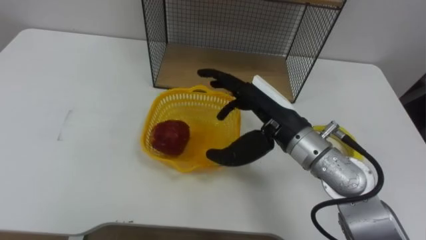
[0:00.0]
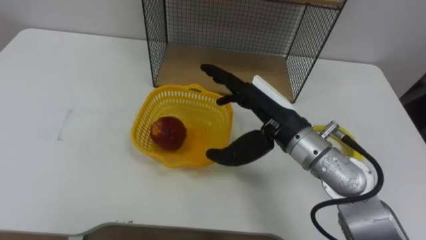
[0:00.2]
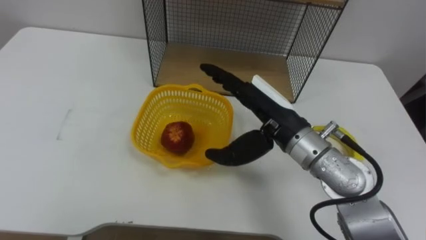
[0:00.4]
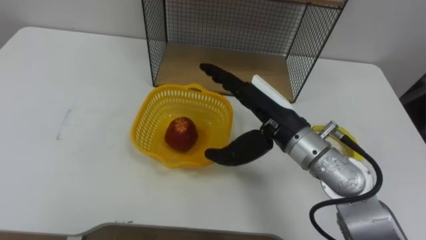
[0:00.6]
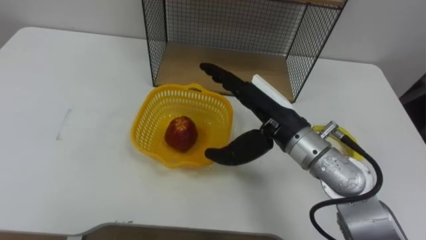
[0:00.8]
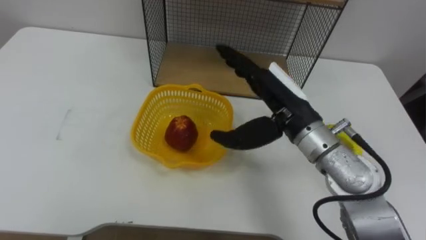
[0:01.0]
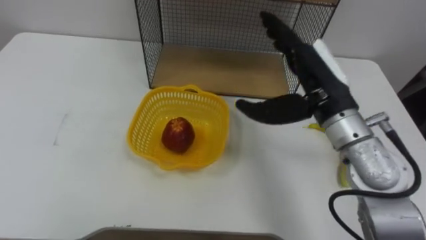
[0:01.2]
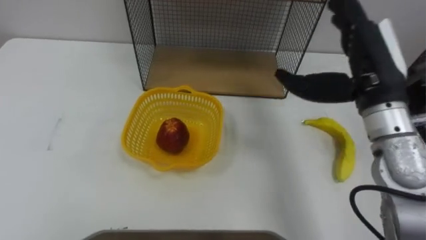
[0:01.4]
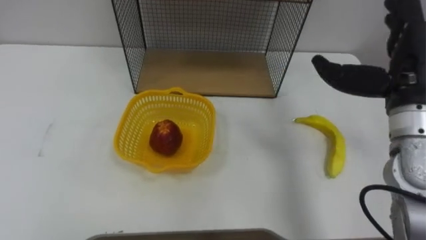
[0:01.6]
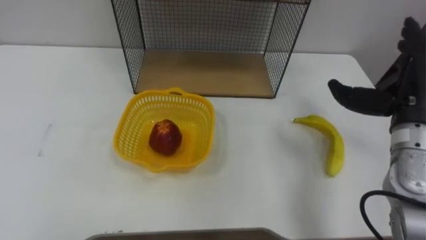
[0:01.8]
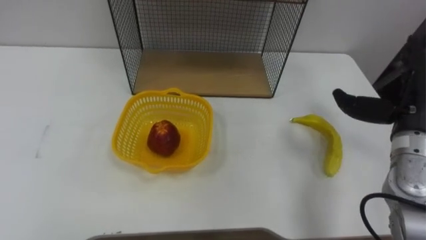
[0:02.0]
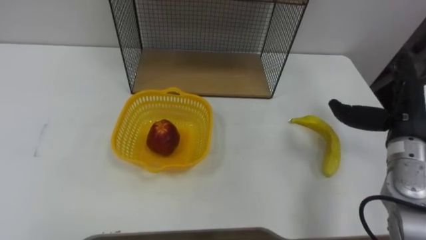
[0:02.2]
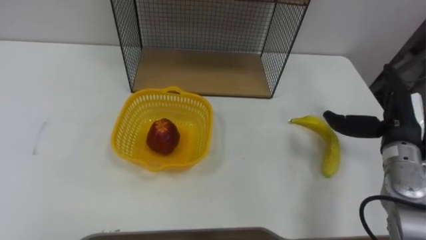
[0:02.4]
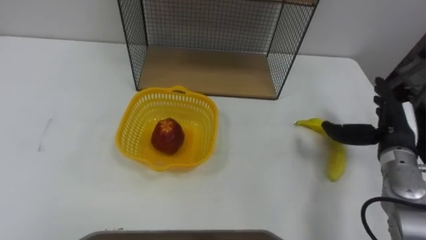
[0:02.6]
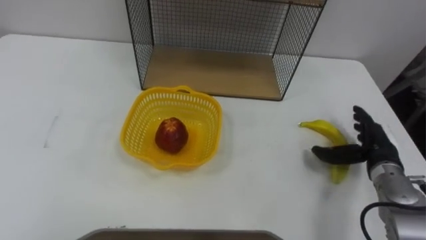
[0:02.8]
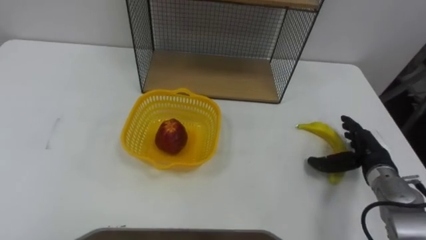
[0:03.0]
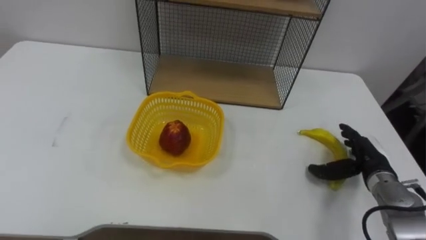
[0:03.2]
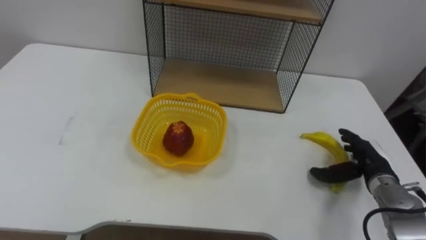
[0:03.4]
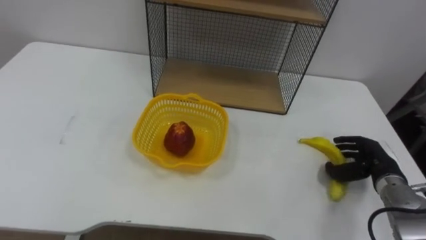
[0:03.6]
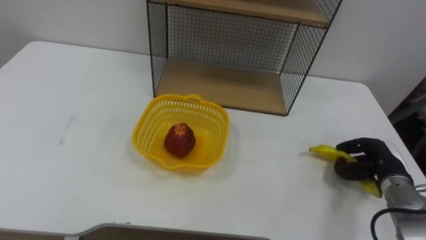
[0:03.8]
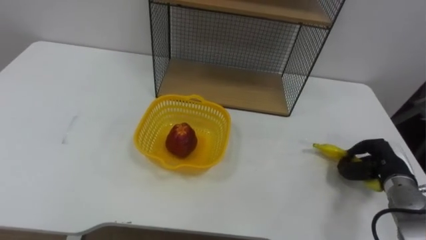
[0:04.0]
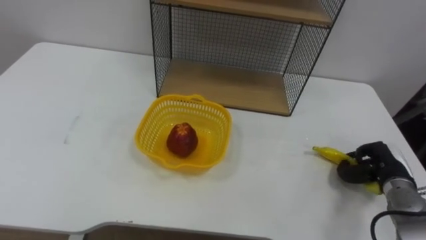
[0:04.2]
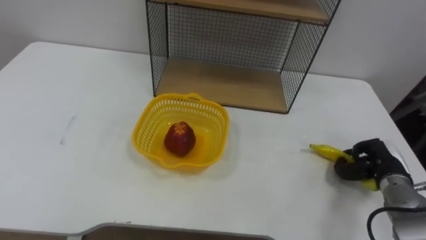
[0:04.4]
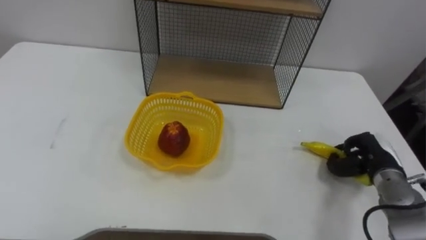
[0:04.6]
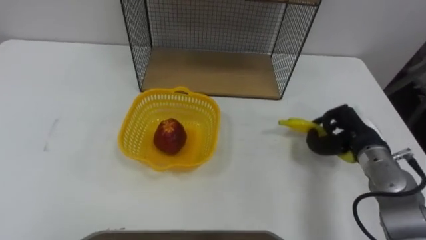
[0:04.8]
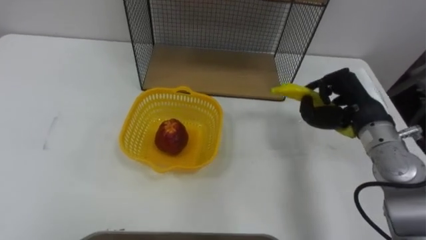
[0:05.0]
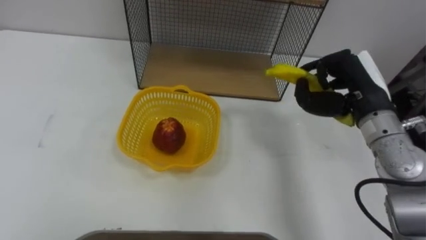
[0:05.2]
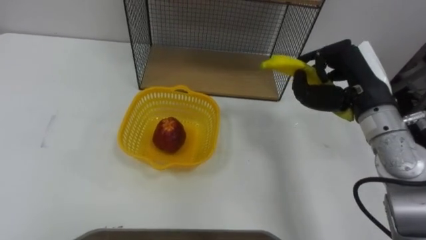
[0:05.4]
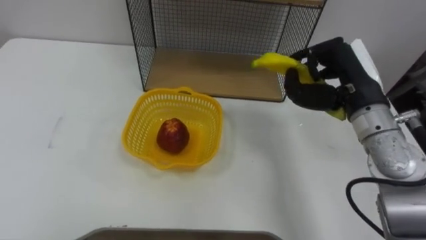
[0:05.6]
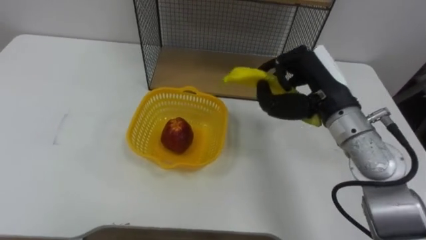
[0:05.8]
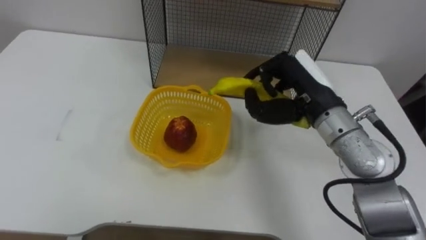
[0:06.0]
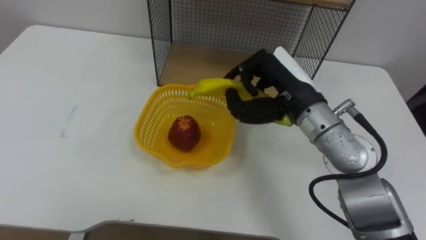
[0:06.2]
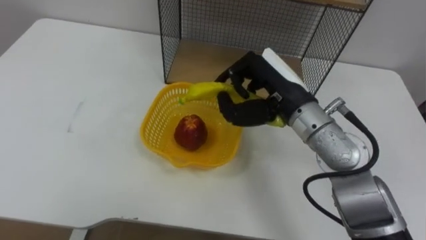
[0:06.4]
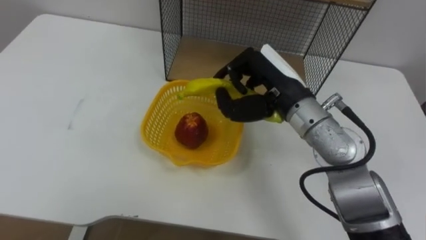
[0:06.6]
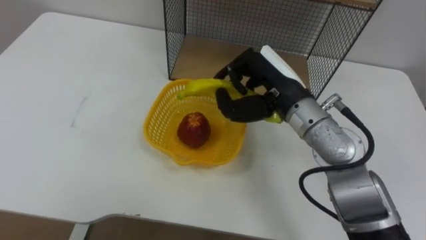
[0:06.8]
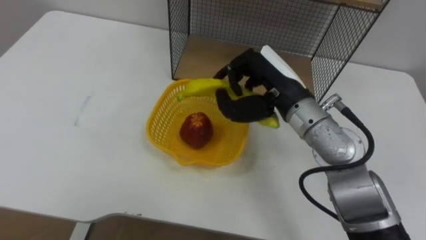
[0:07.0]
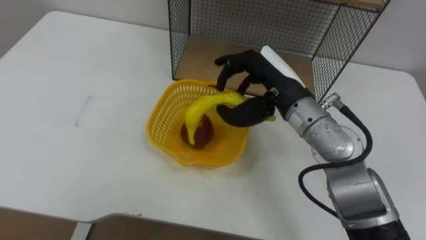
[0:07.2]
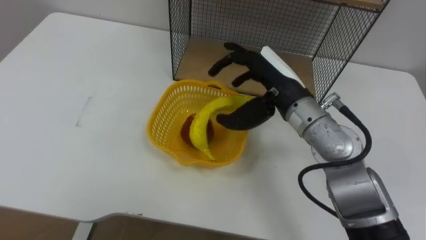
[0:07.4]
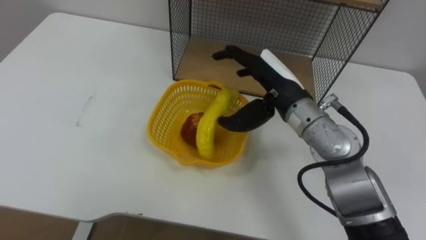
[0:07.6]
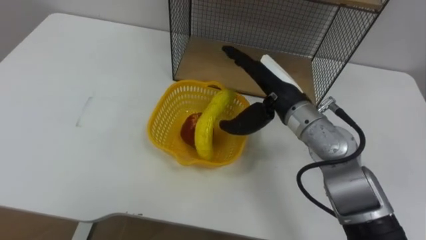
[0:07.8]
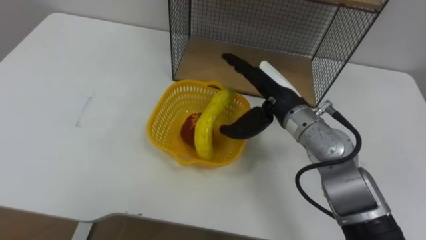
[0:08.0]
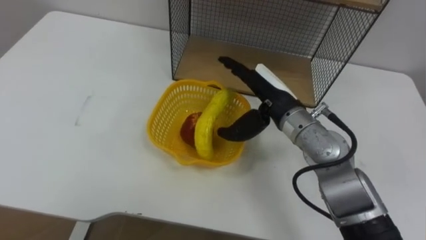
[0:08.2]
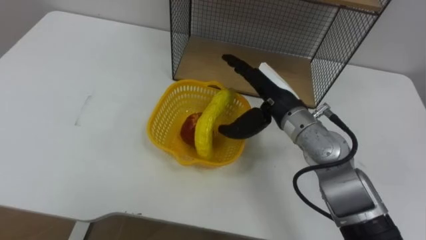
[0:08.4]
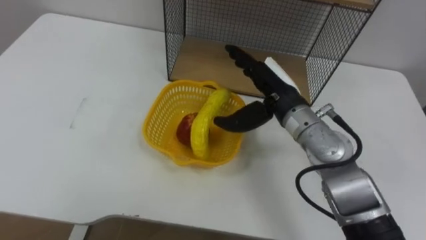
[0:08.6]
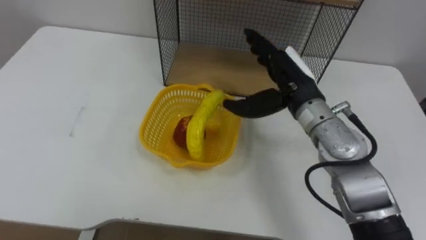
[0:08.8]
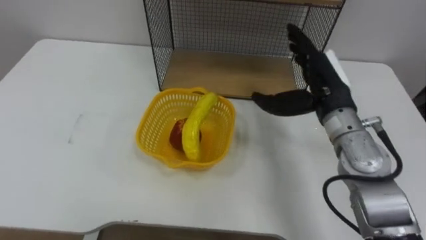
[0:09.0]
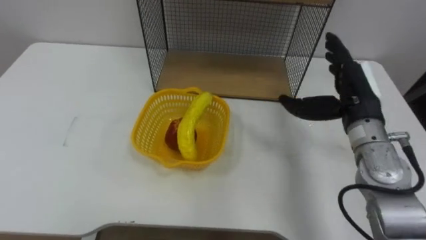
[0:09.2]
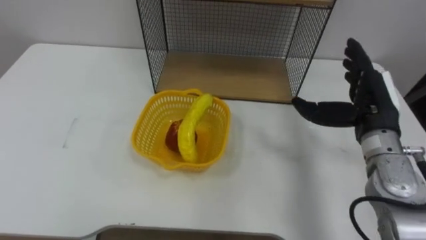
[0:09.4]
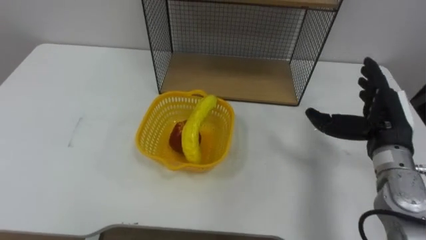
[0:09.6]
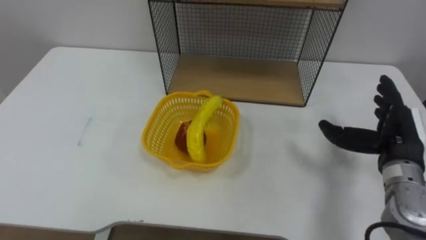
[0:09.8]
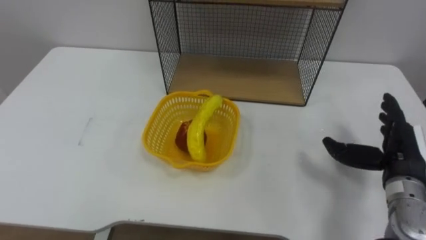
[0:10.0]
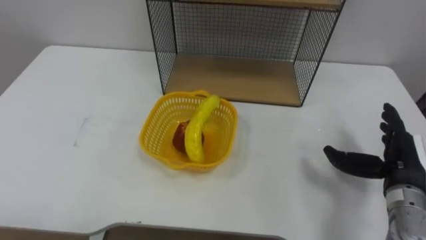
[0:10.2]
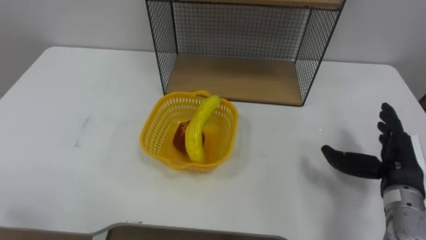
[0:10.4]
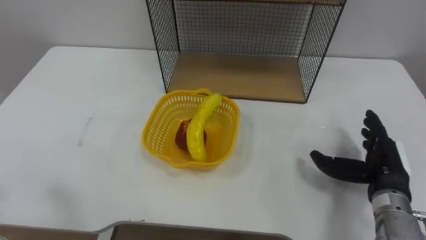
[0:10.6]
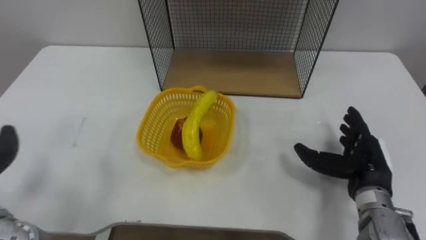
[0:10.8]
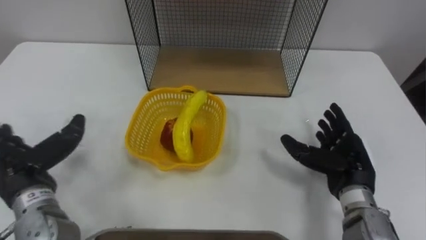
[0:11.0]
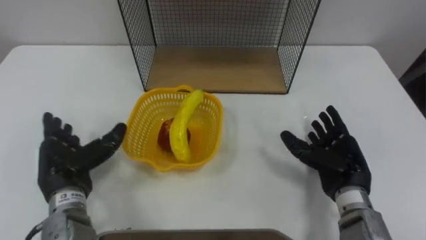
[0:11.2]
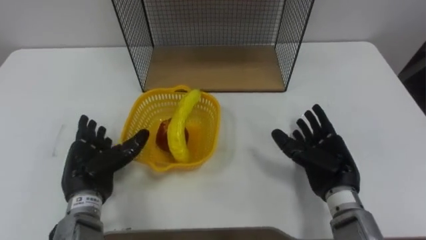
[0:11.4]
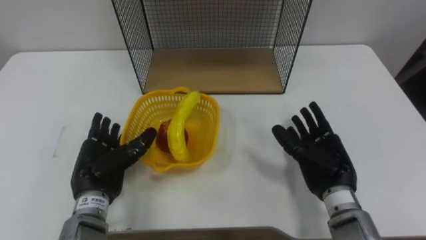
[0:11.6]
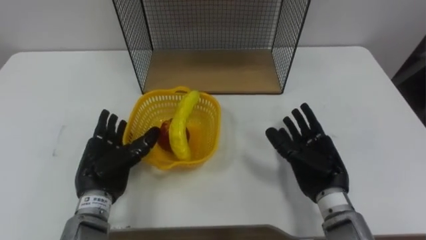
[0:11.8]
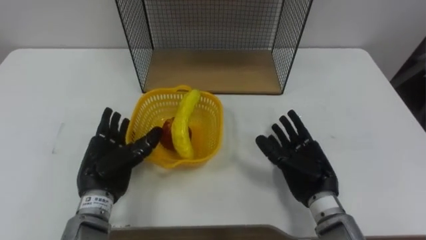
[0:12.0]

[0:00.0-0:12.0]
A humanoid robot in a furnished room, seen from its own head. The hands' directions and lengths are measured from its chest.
Task of the whole recording: Put the fruit on the table into the basket, then place the basket on the shelf.
0:00.0 to 0:01.6: The right hand goes roughly 15 cm to the right.
0:01.6 to 0:03.0: The right hand moves downward, roughly 20 cm.
0:03.0 to 0:04.4: The right hand closes up.
0:04.4 to 0:06.0: The right hand is displaced upward and to the left by about 25 cm.
0:06.0 to 0:07.6: The right hand changes place by approximately 5 cm, and opens its fingers.
0:07.6 to 0:09.0: The right hand shifts some 10 cm to the right.
0:09.0 to 0:10.4: The right hand moves to the right, backward and downward, about 20 cm.
0:10.4 to 0:12.0: The right hand goes some 15 cm to the left.

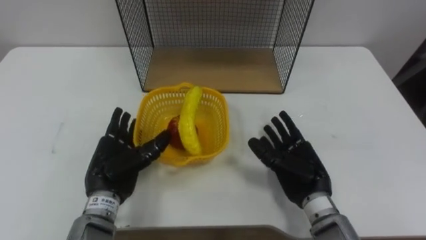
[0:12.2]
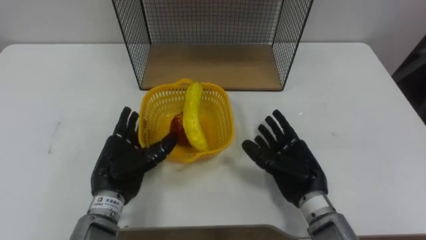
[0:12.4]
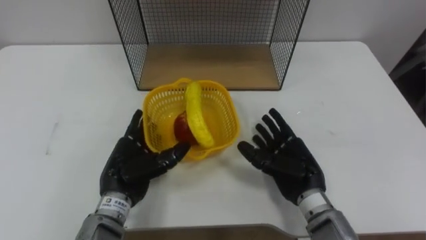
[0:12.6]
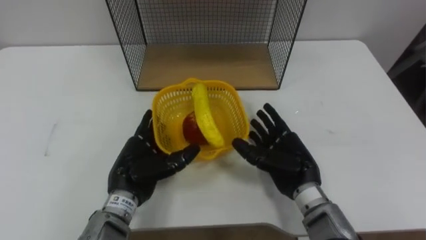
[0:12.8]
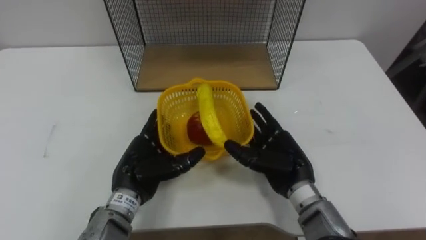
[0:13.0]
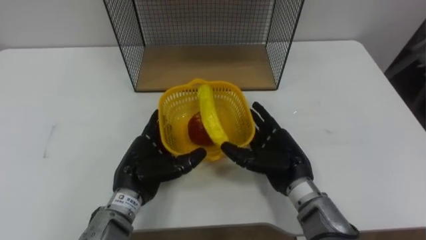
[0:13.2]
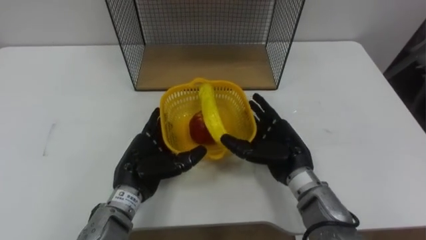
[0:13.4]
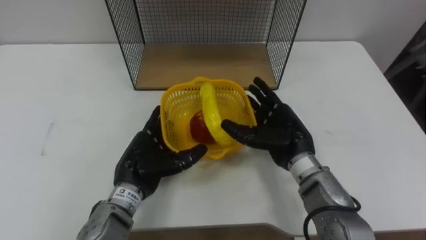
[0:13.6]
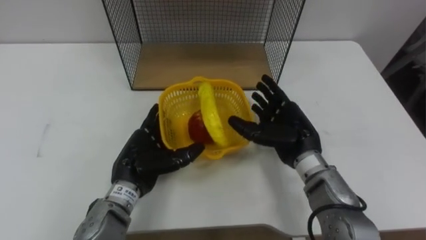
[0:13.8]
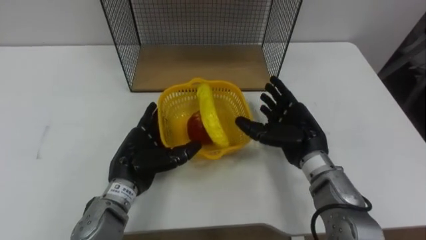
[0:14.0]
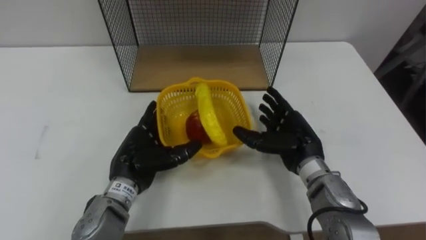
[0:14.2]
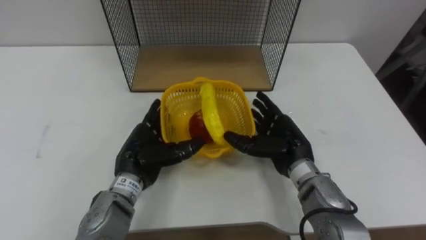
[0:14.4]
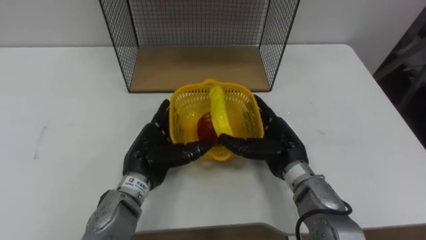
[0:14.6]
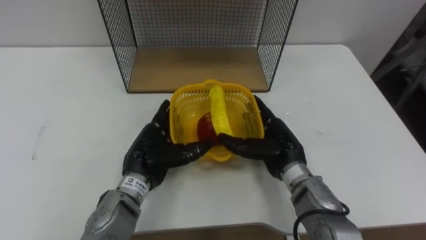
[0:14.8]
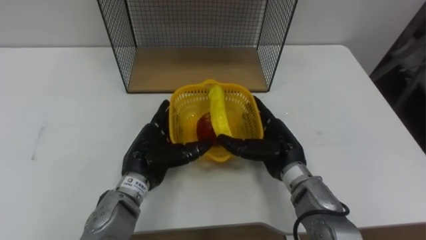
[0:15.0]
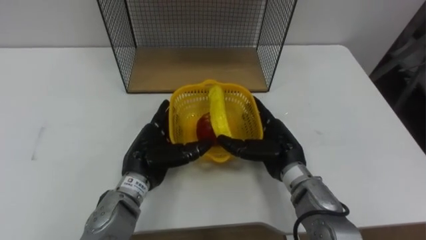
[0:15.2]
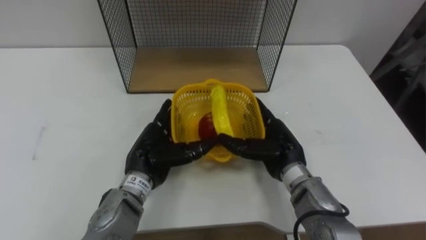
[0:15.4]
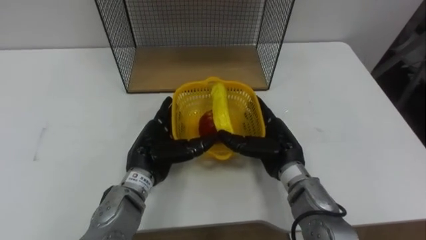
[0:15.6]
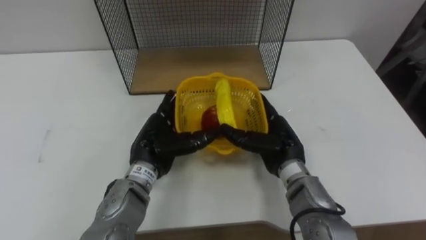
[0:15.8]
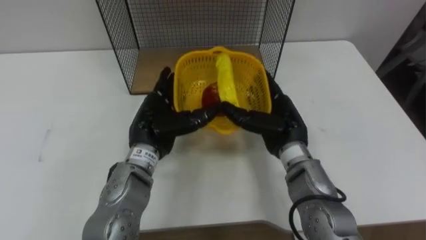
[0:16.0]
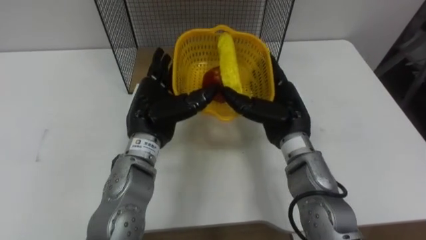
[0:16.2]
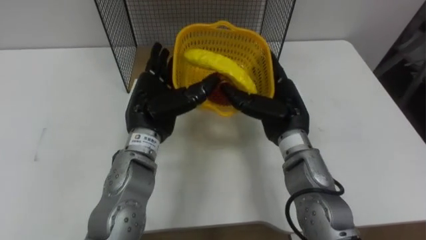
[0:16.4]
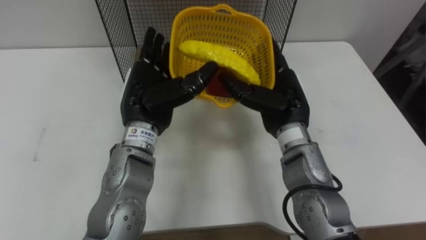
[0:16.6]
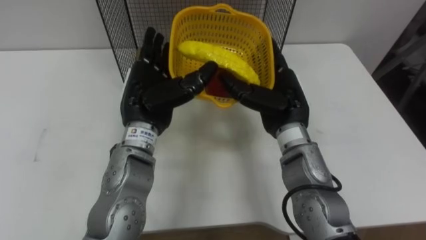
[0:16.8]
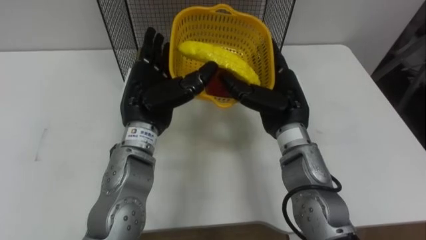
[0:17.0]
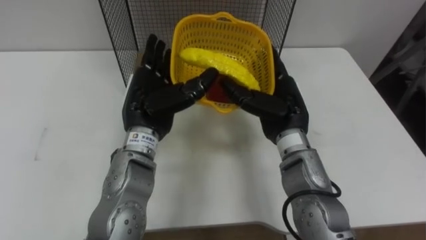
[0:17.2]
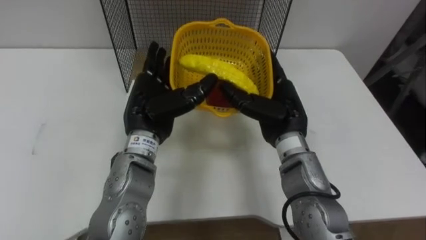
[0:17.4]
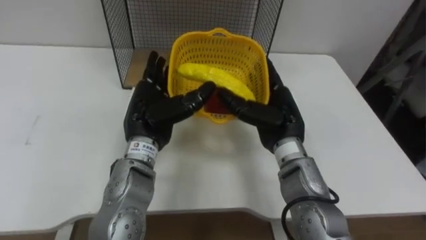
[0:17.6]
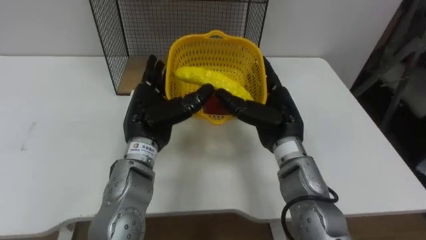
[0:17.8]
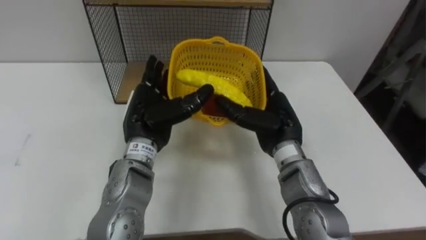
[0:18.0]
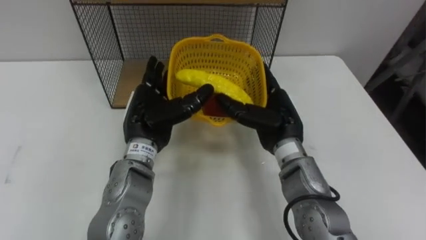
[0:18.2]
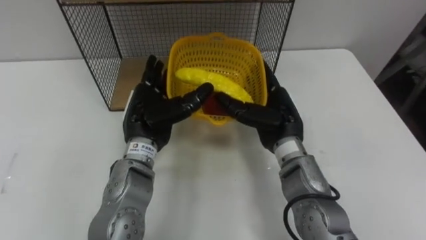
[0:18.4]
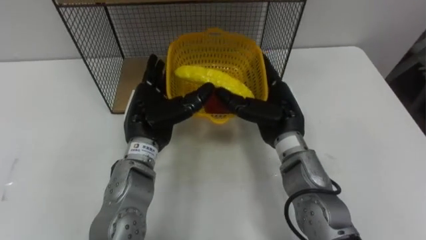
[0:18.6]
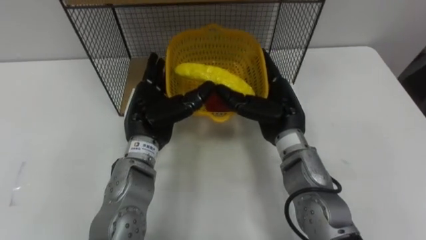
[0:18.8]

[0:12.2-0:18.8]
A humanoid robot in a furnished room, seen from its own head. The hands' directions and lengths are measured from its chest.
Task of the whole recording: Put the fruit on the table into the basket, then place the basket on the shelf.
0:12.2 to 0:13.8: The right hand is displaced forward by approximately 5 cm.
0:15.4 to 0:17.2: The hands both shift upward by approximately 10 cm.
